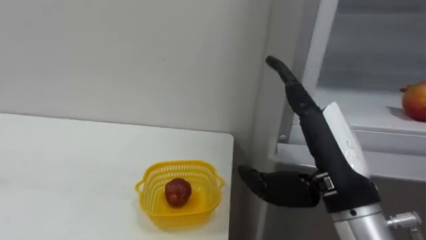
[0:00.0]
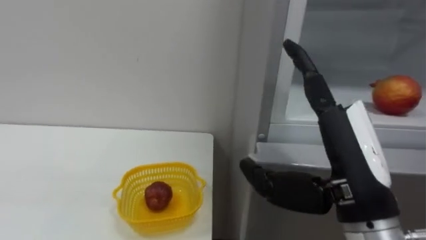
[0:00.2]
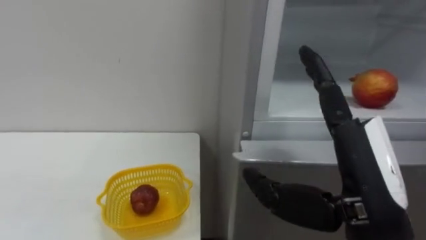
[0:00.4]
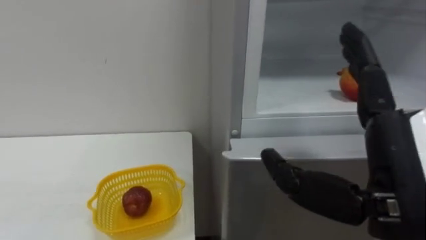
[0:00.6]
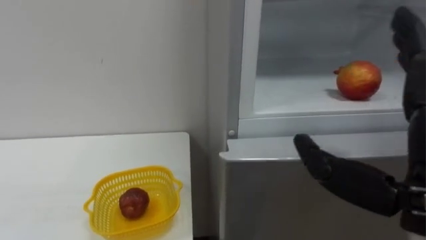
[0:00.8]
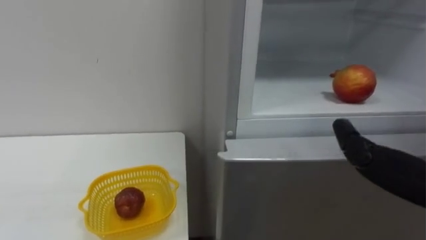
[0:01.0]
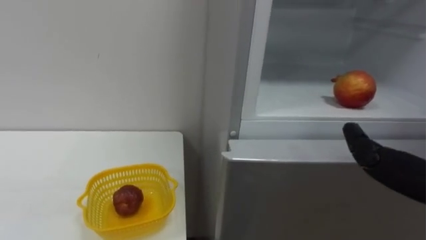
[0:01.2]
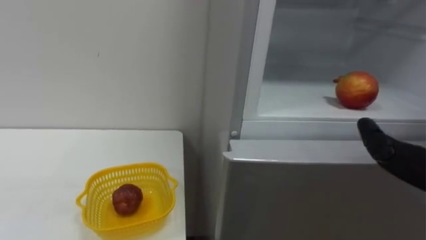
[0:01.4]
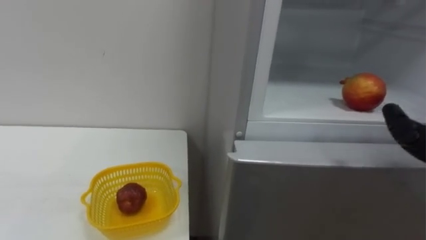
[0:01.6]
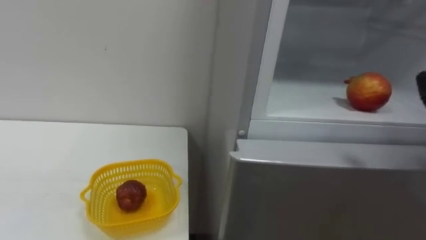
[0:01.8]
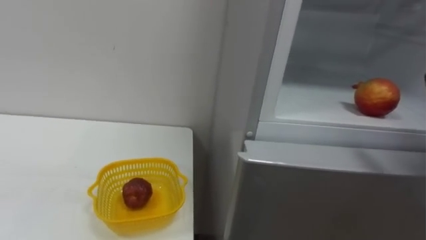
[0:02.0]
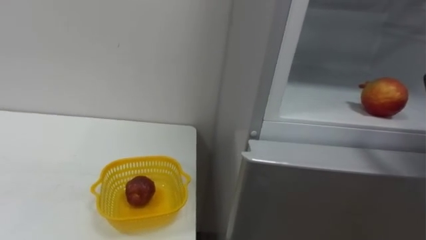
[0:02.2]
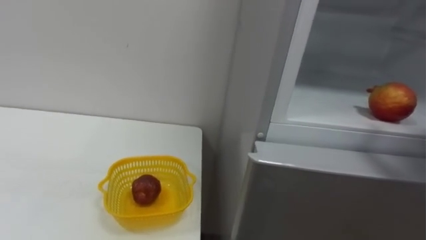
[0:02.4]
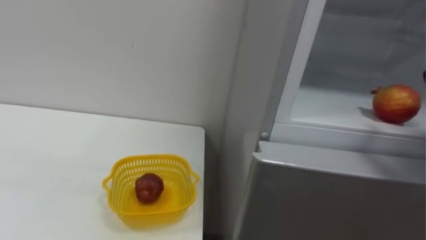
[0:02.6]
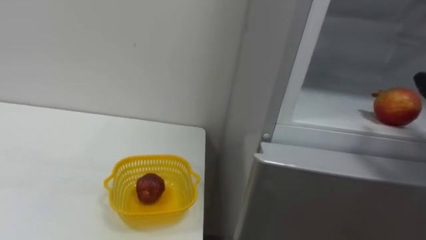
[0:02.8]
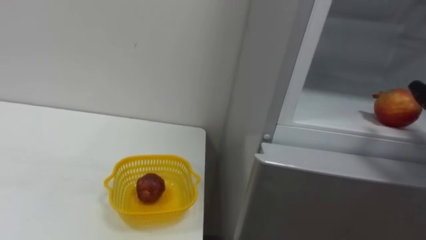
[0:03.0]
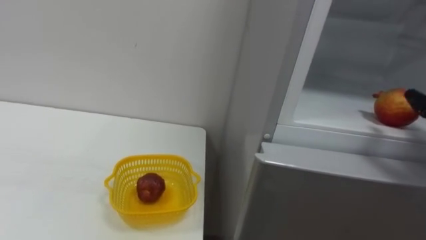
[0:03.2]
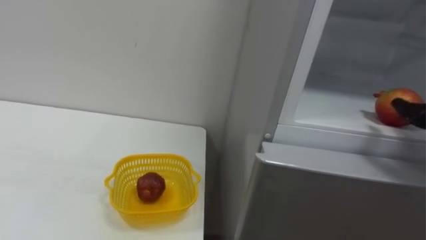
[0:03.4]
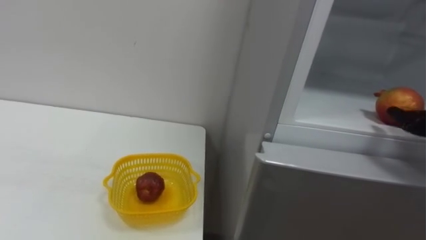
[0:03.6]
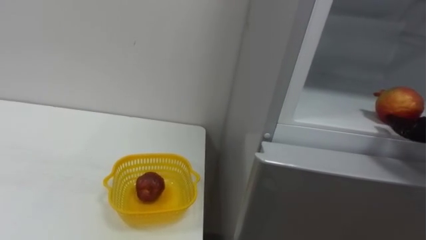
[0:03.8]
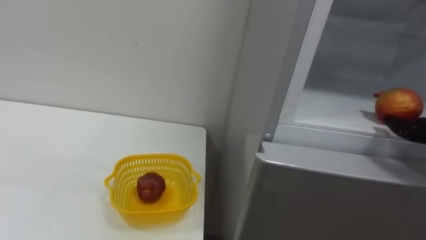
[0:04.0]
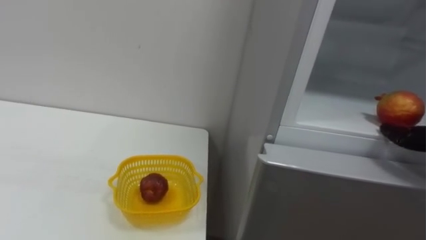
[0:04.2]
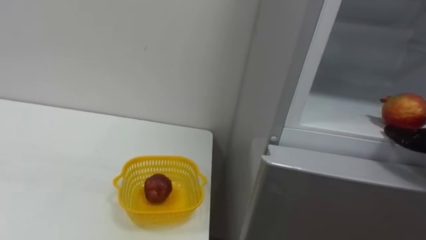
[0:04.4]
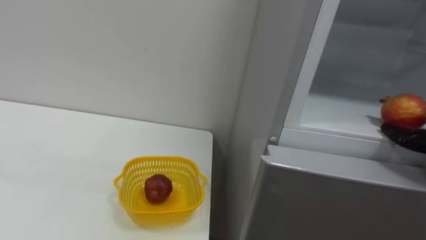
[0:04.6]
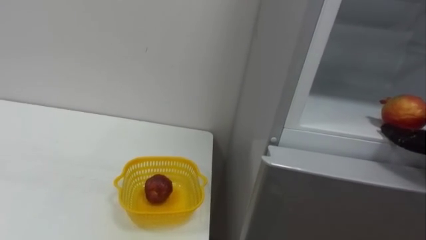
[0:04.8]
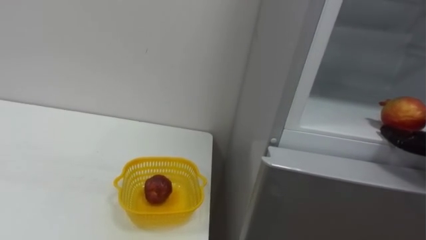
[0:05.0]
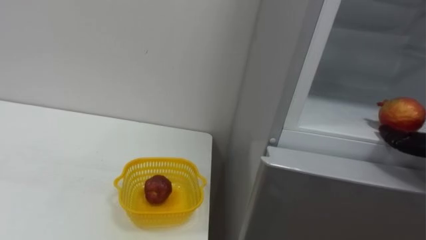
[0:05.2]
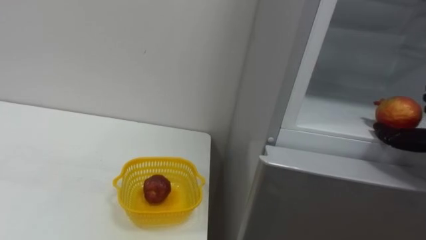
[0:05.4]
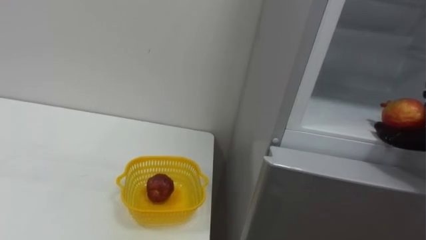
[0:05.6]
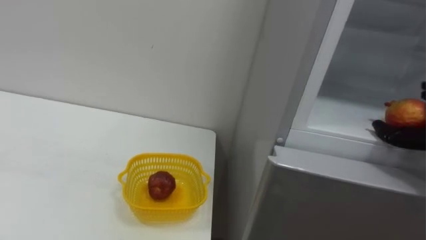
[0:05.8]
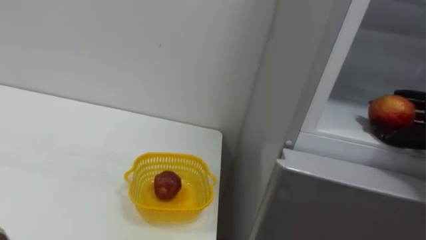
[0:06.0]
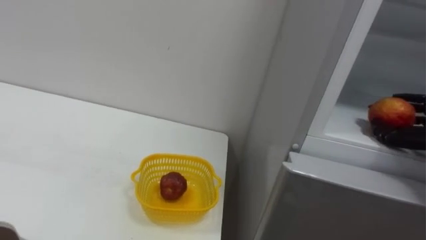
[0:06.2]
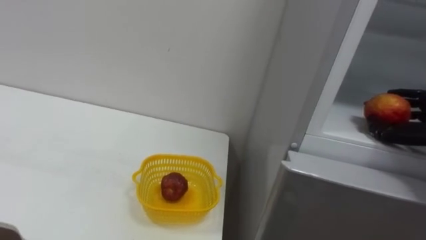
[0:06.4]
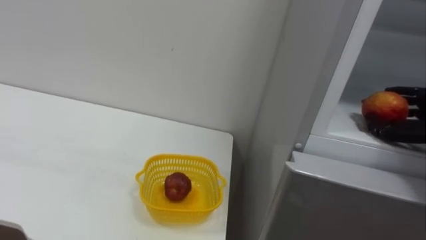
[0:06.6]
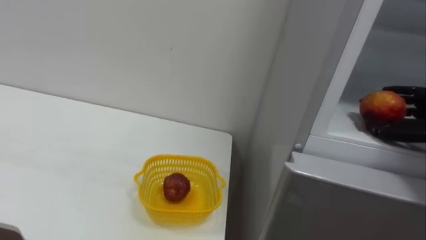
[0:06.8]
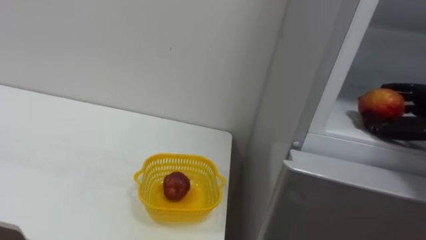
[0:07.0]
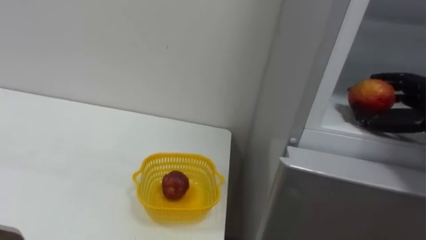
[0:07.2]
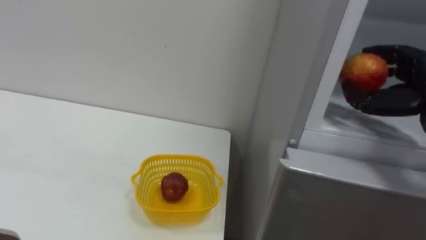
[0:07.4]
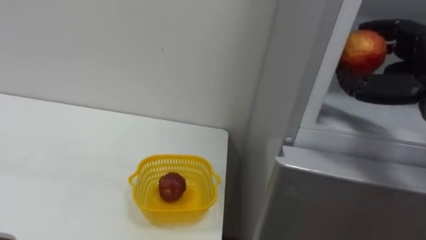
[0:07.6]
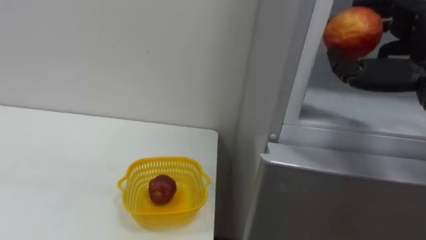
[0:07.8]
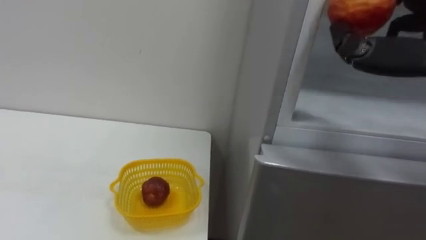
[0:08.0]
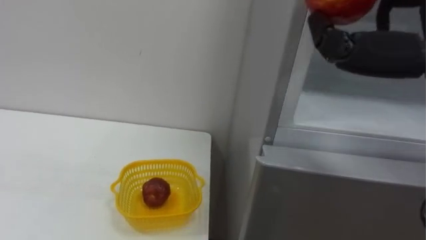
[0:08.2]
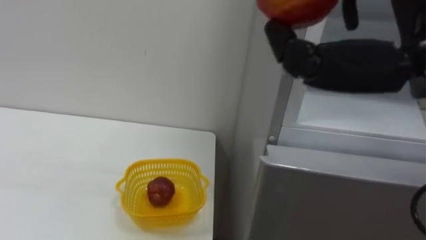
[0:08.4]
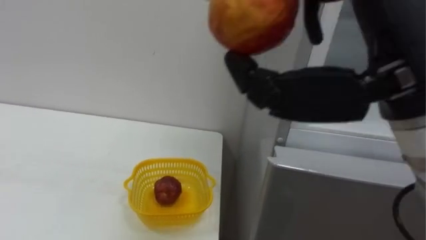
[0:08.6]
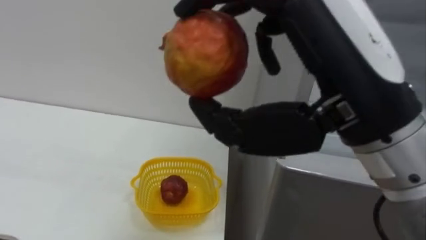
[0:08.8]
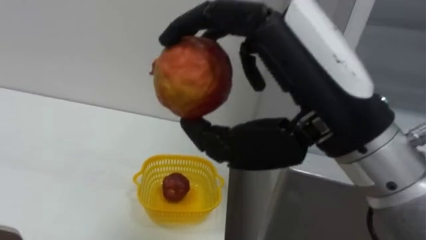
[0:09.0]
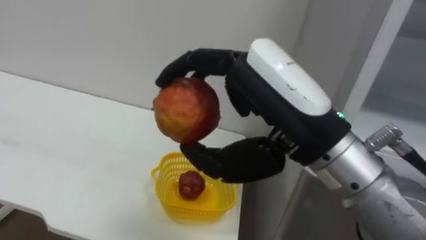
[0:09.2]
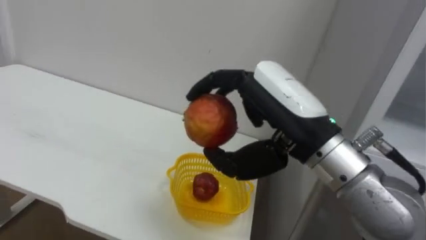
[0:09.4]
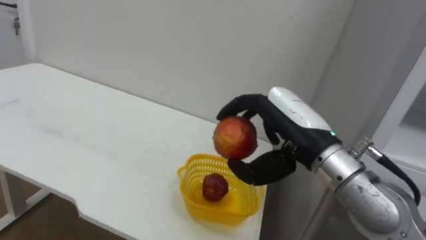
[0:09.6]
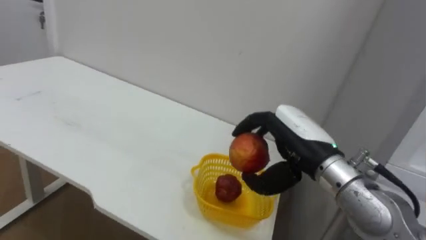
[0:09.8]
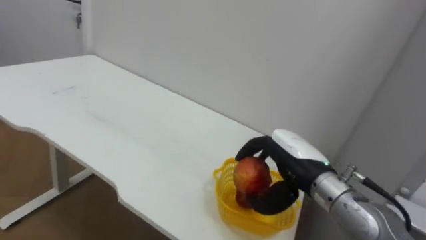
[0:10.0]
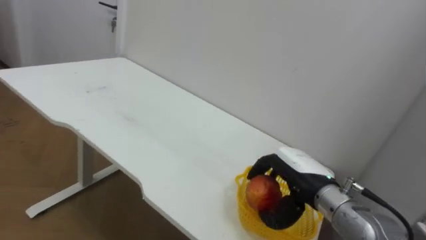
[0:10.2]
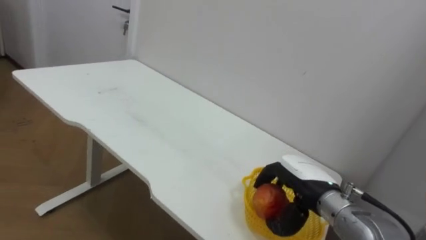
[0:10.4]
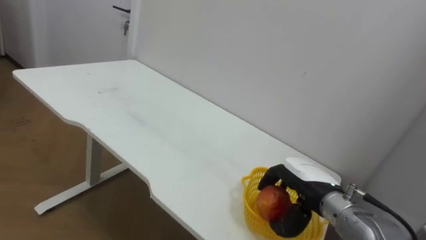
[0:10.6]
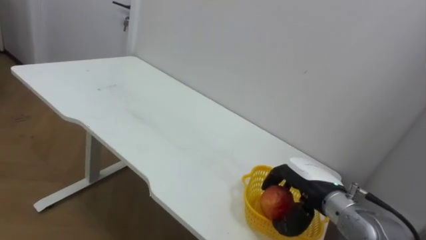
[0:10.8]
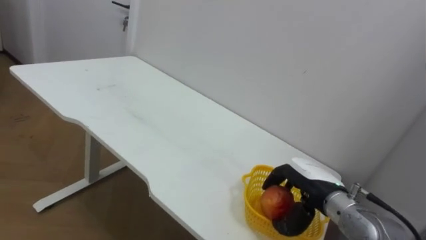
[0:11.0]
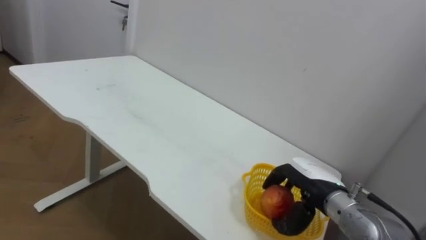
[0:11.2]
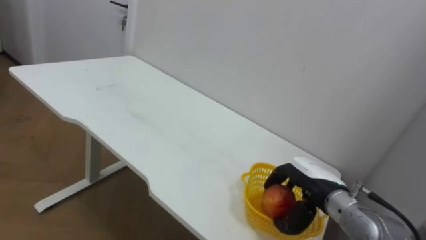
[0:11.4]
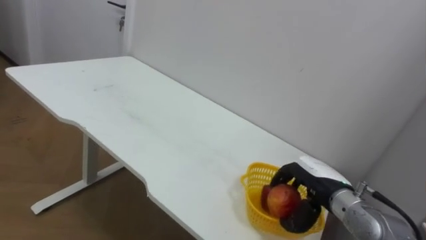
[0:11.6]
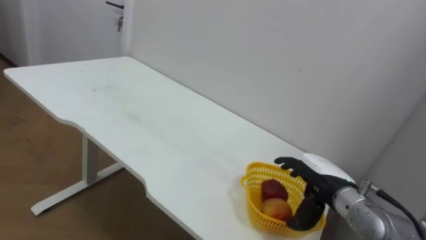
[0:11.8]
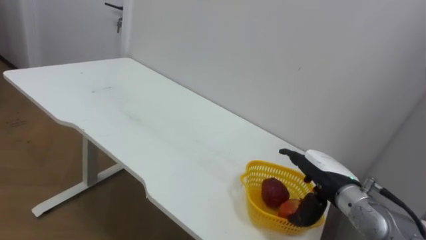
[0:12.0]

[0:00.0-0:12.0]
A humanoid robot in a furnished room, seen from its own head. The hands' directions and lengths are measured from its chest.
Task of the whole recording: Open the refrigerator door, take out the apple and the pomegranate, place them in the fruit basket on the left, and close the refrigerator door.
0:09.0 to 0:10.4: The right hand moves downward and forward, about 30 cm.
0:10.4 to 0:12.0: The right hand opens up.

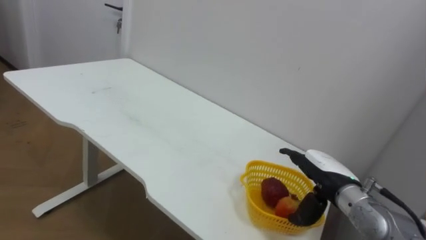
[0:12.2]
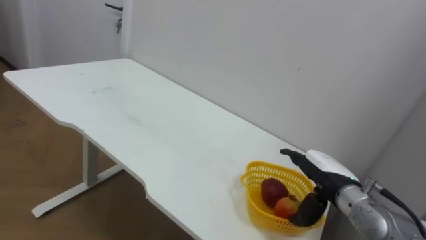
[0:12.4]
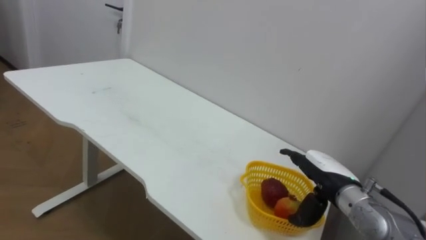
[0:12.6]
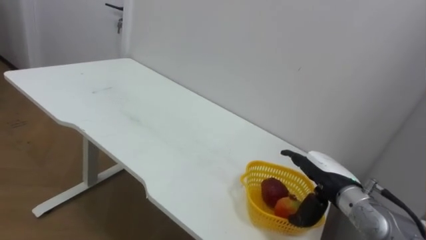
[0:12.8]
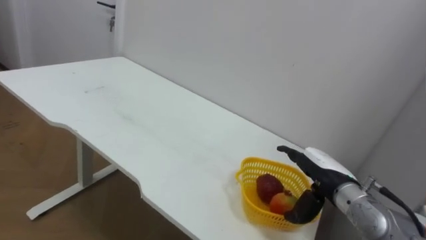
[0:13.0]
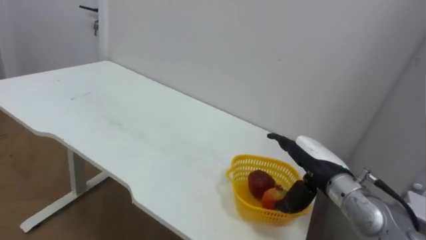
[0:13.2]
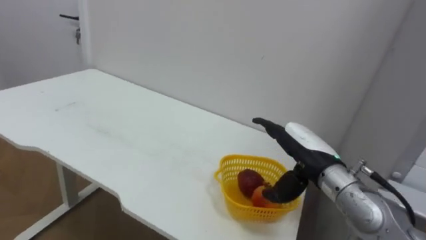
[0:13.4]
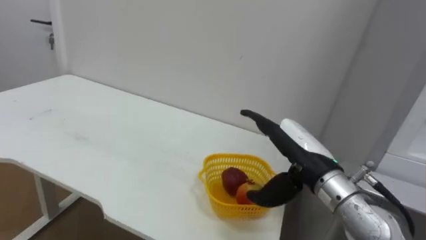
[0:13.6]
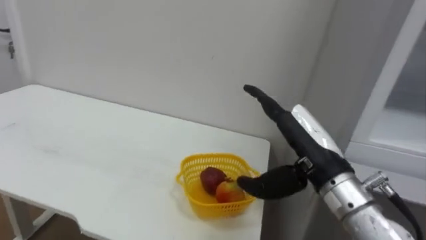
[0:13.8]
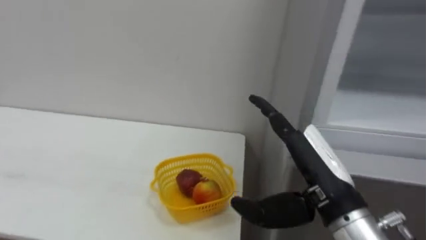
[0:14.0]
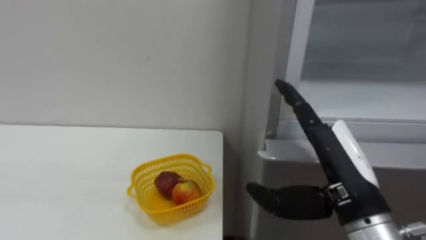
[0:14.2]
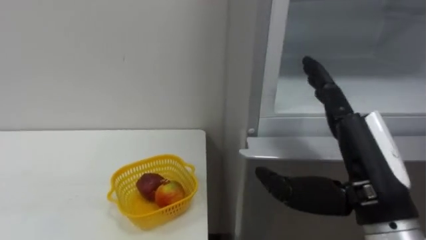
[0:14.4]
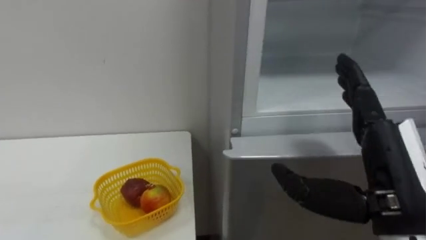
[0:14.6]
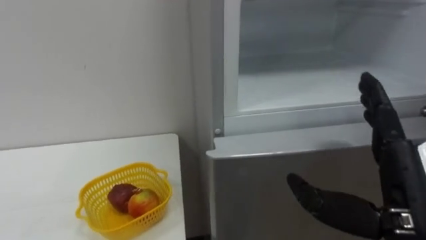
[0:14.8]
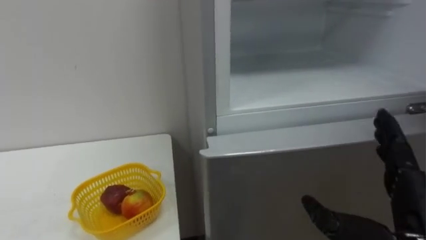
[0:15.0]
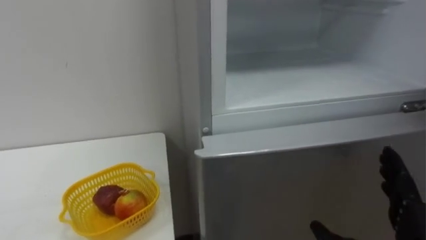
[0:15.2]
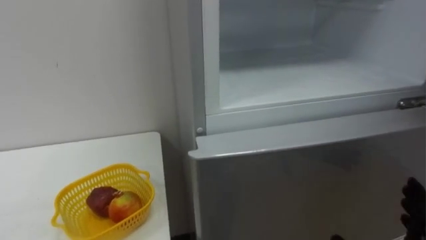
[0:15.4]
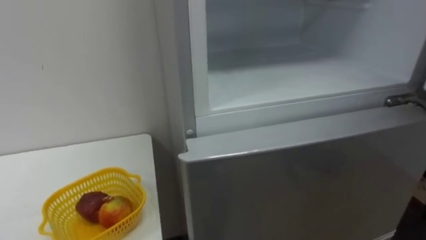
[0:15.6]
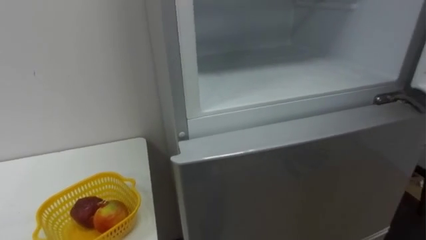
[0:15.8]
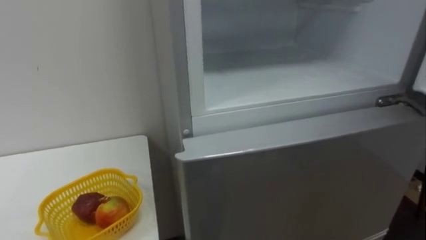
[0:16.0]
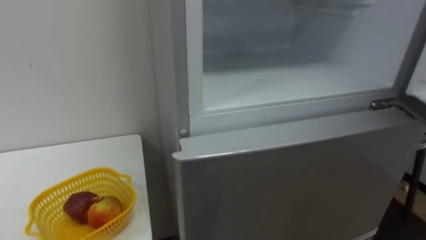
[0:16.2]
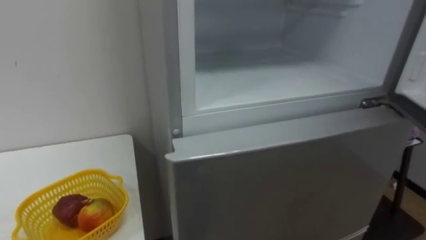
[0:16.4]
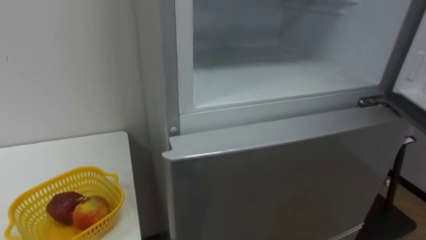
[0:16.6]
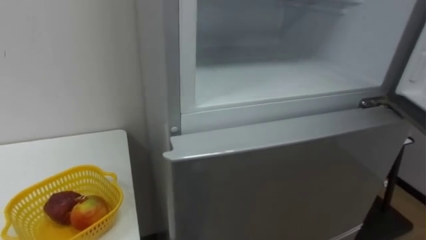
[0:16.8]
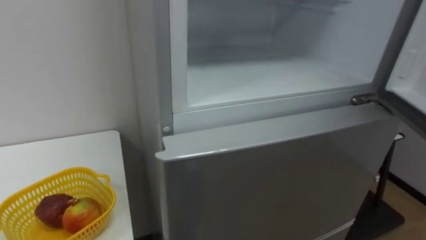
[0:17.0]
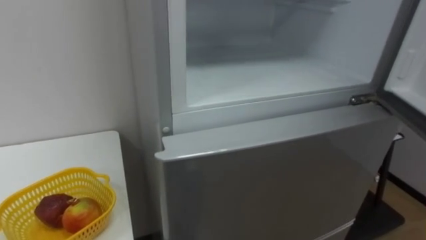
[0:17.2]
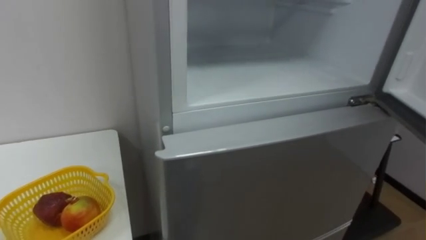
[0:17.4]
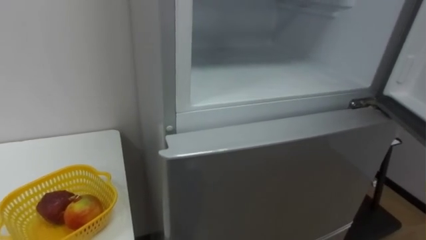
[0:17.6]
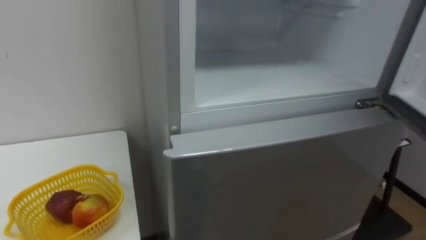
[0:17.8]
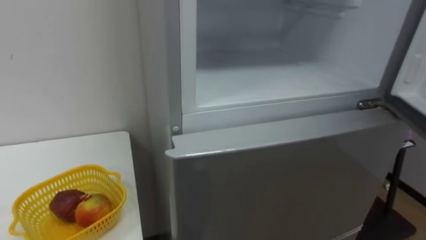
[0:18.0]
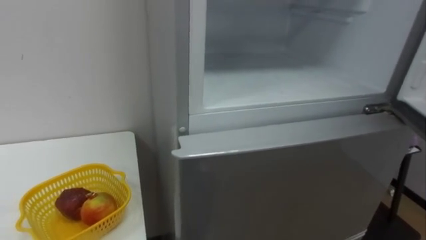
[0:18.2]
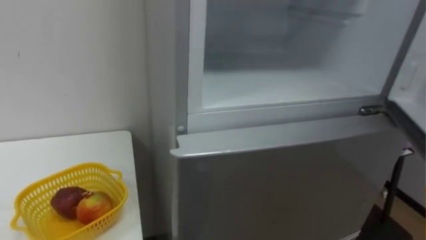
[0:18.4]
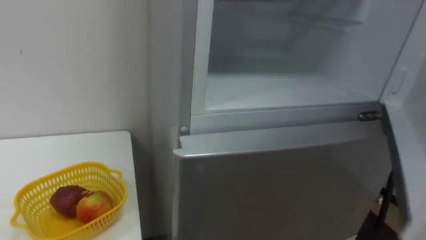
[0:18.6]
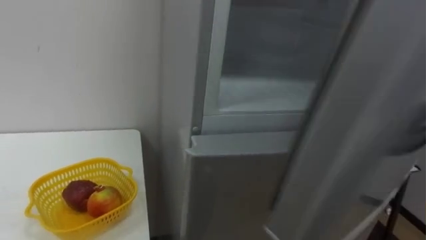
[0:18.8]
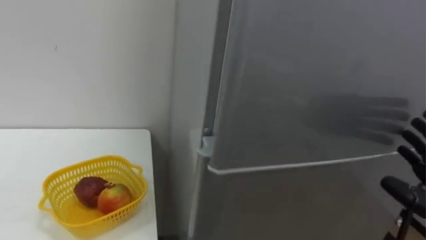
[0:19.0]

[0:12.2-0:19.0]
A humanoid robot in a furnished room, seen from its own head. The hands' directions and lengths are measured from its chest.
Task of the whole recording: Open the refrigerator door, take out the apple and the pomegranate, place them in the fruit basket on the left, and close the refrigerator door.
0:12.2 to 0:13.6: The right hand heads upward and to the left, covering roughly 10 cm.
0:13.6 to 0:15.0: The right hand heads backward and to the right, covering approximately 15 cm.
